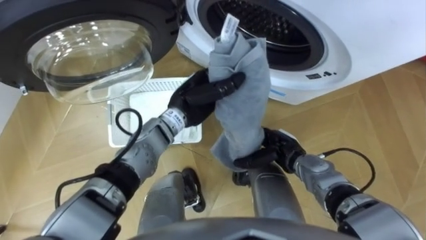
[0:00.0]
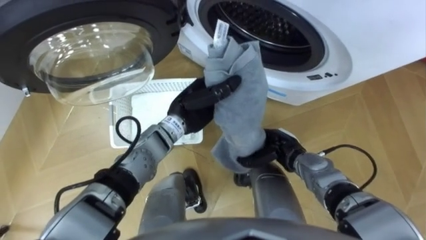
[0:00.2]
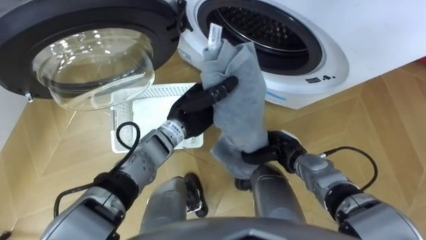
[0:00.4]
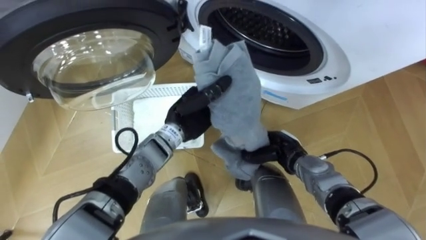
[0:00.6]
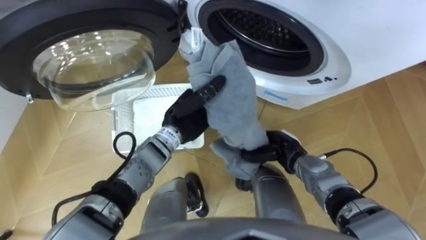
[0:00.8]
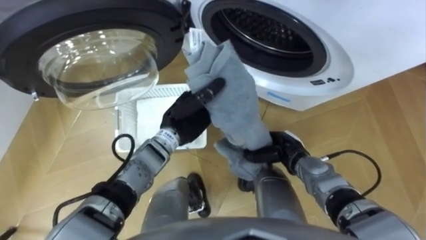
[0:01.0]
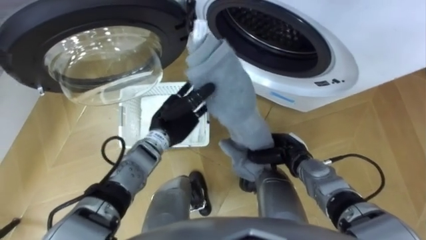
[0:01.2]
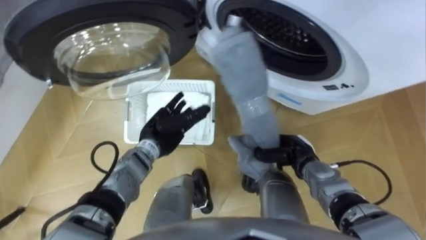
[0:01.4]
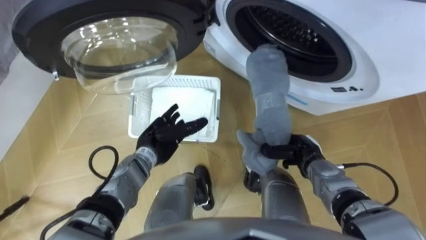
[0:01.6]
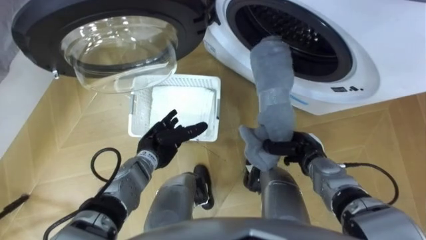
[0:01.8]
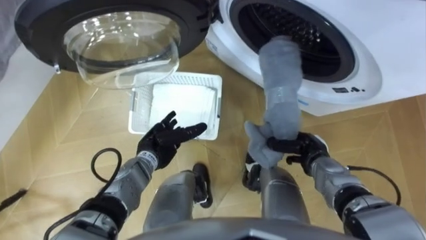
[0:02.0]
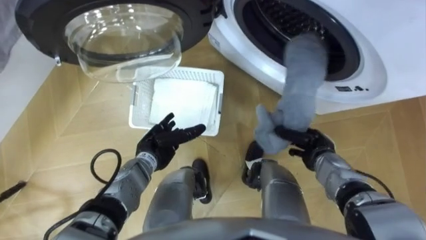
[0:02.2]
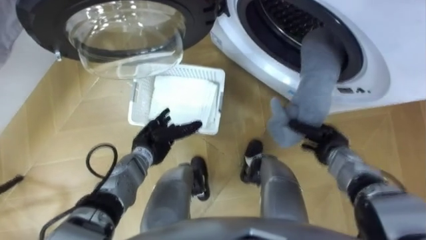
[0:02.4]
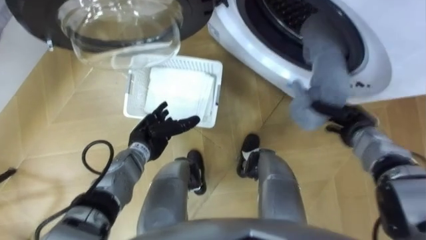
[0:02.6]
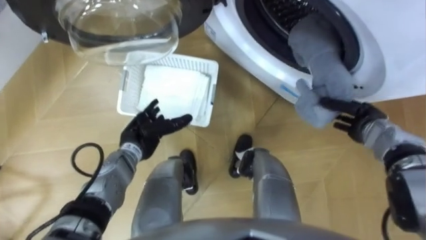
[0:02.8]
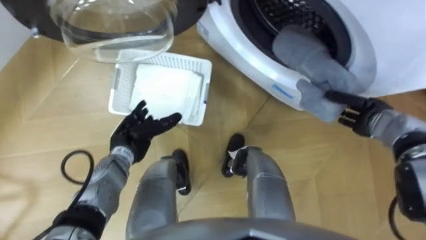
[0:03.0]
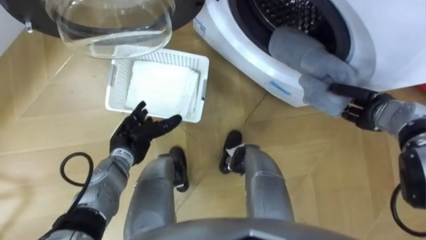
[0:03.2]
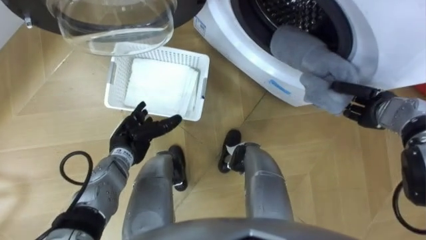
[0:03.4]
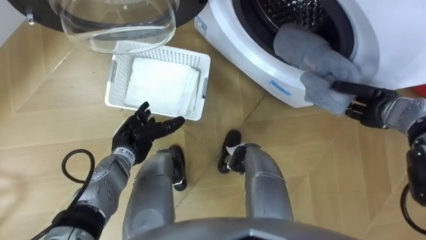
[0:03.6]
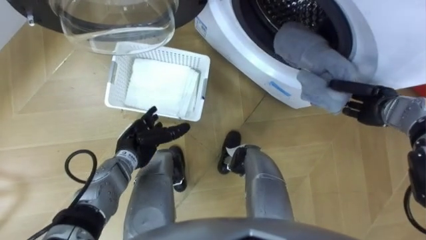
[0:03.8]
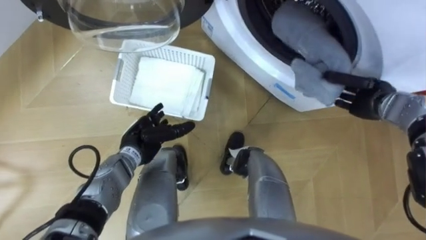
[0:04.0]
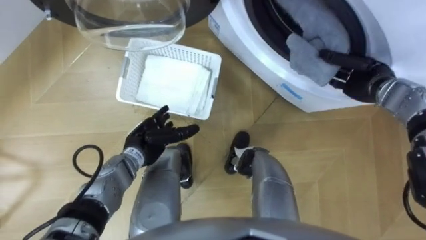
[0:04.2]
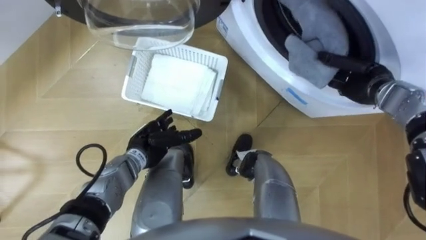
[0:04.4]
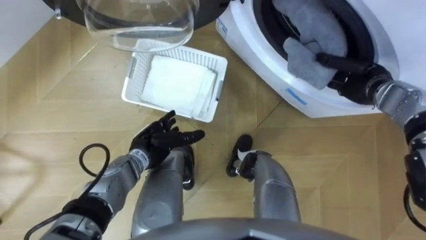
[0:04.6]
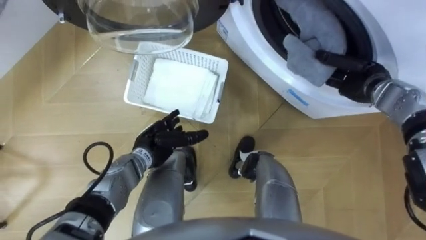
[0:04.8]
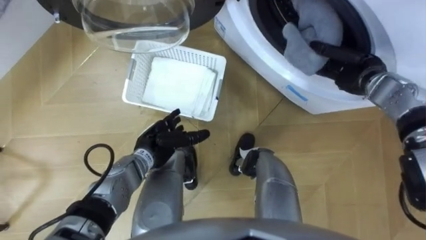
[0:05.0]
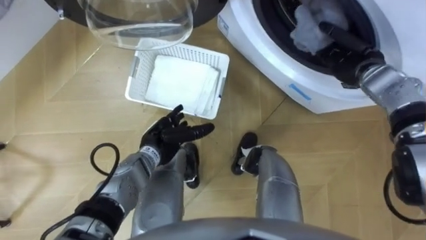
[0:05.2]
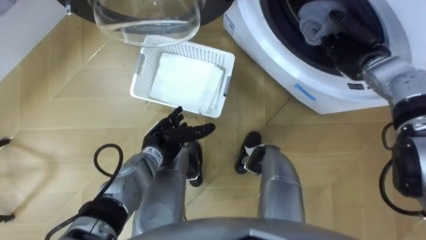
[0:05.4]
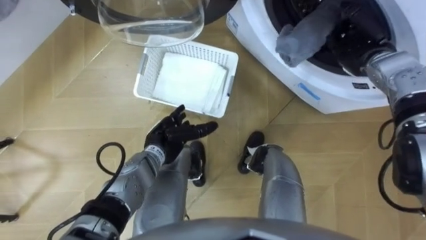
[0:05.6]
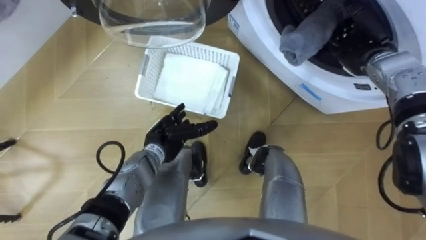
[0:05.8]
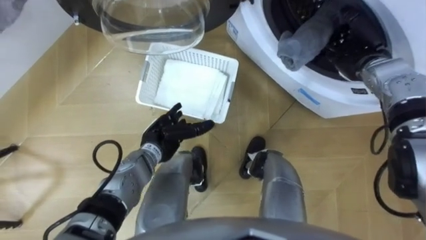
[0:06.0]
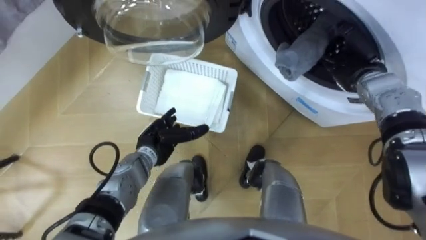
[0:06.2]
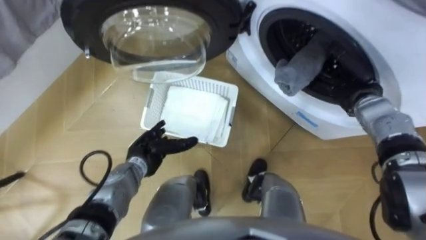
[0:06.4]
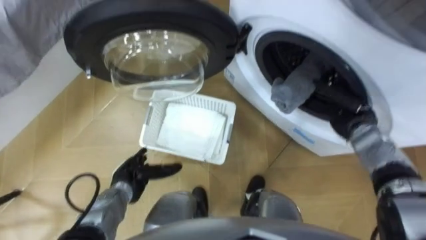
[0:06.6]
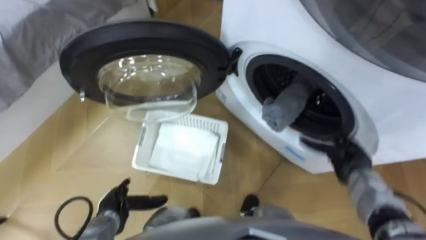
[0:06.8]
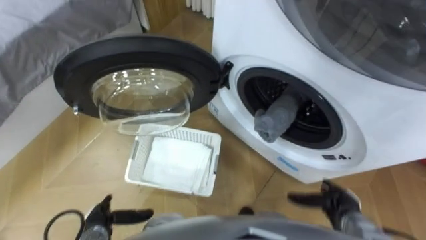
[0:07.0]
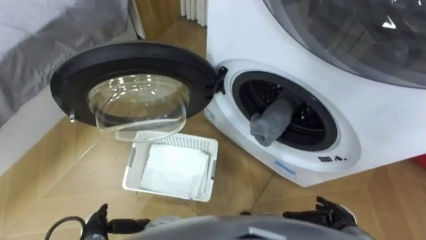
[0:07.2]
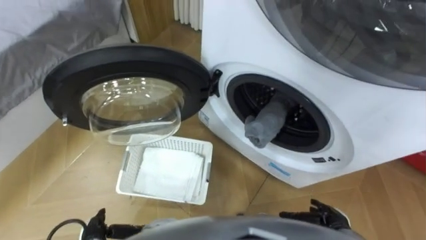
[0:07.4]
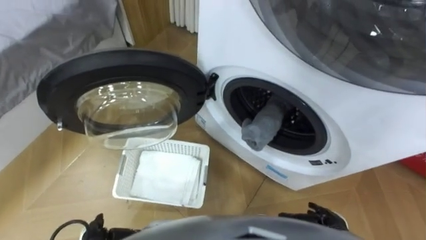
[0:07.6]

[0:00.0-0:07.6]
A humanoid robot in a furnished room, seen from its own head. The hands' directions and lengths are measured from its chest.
Task of the whole recording: Take the towel from the basket and put it into the washing machine.
0.0 to 1.6 s: The right hand travels to the right by some 5 cm, and closes; the left hand is displaced downward, to the left and backward by about 15 cm, and opens its fingers.
1.6 to 3.0 s: The left hand moves to the left, approximately 5 cm. The right hand shifts some 15 cm to the right, upward and forward.
3.0 to 4.6 s: The right hand travels forward and upward by some 10 cm.
4.6 to 6.0 s: The right hand opens up.
6.0 to 7.6 s: The right hand travels backward and downward by roughly 40 cm.

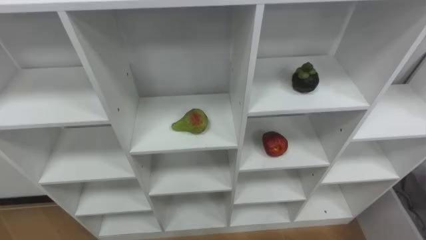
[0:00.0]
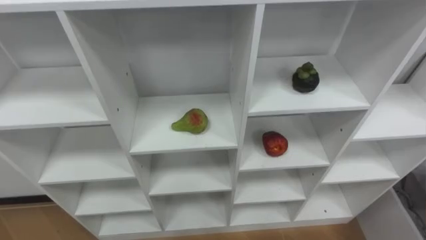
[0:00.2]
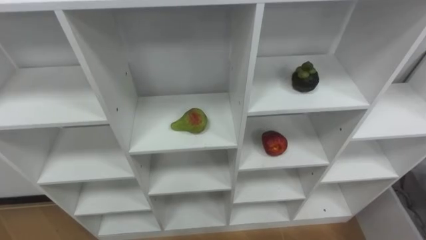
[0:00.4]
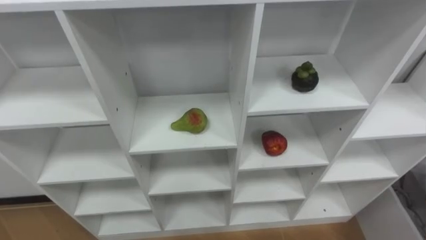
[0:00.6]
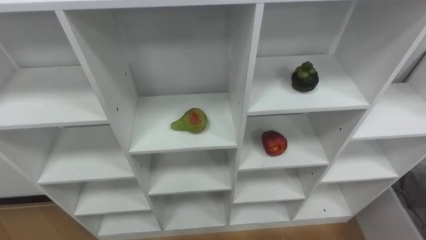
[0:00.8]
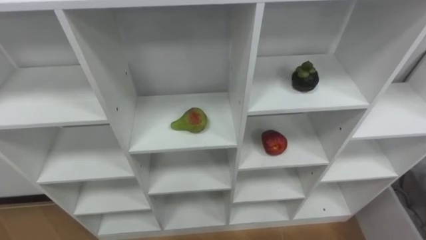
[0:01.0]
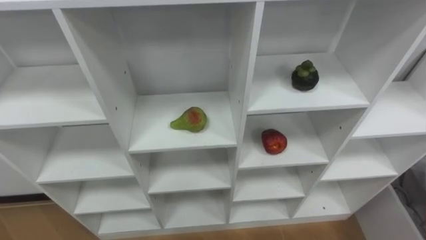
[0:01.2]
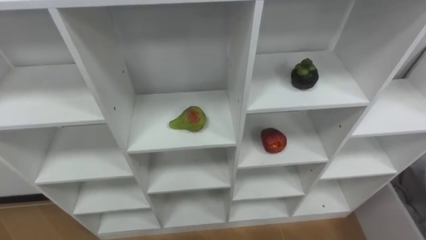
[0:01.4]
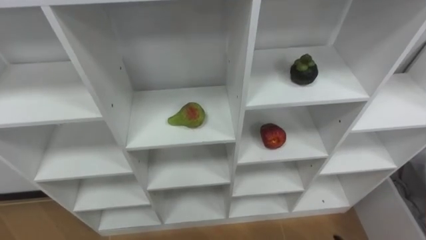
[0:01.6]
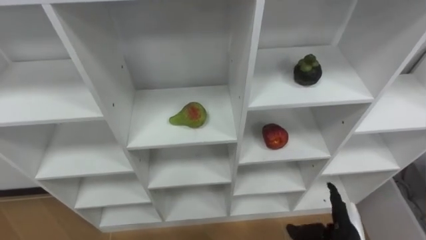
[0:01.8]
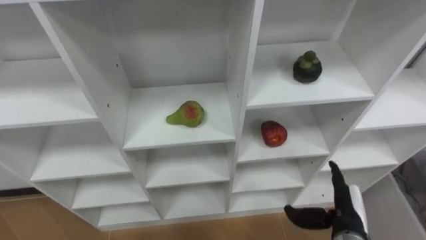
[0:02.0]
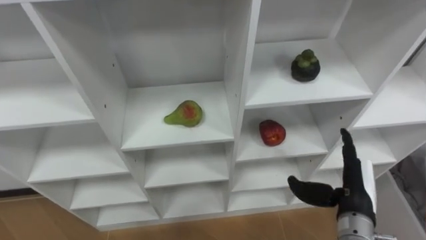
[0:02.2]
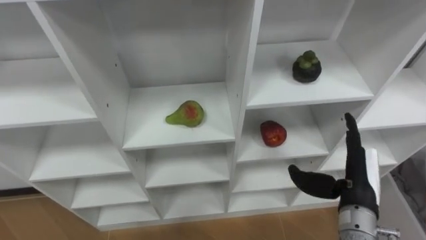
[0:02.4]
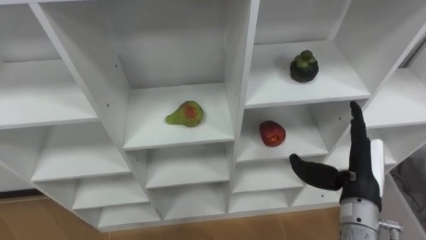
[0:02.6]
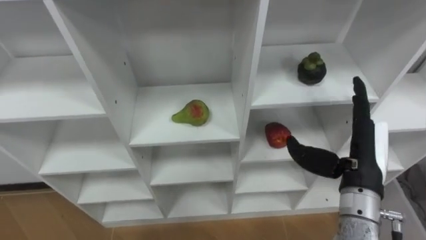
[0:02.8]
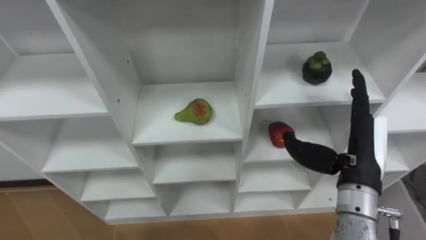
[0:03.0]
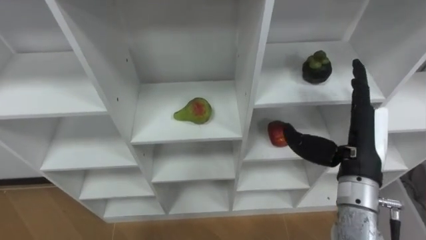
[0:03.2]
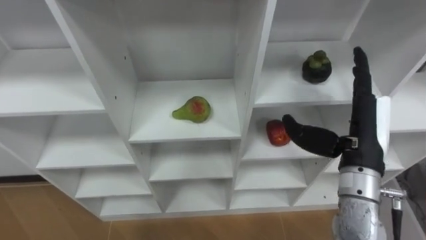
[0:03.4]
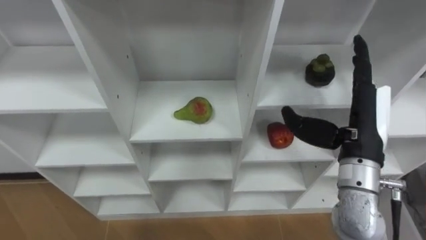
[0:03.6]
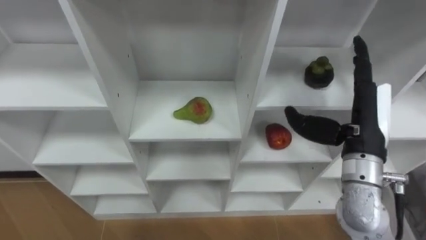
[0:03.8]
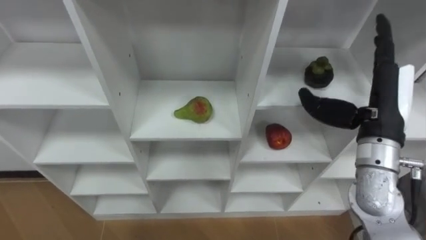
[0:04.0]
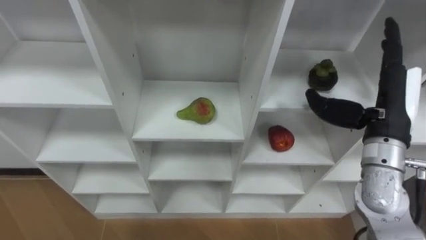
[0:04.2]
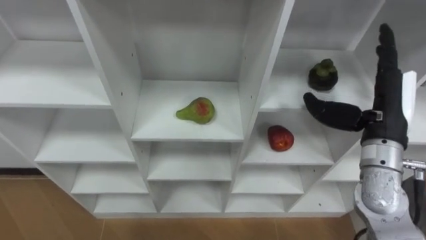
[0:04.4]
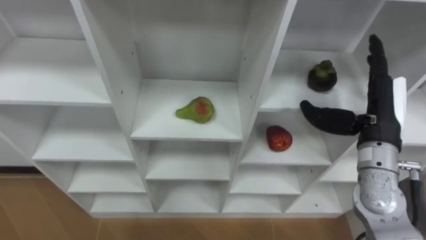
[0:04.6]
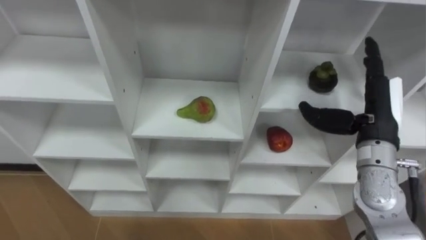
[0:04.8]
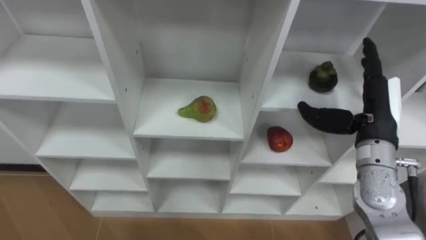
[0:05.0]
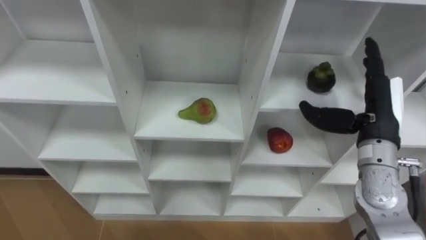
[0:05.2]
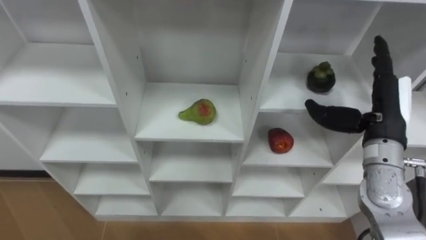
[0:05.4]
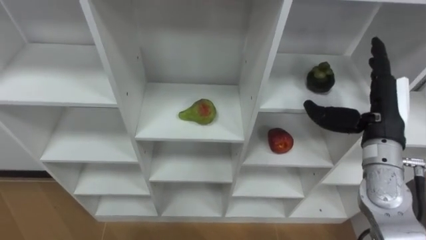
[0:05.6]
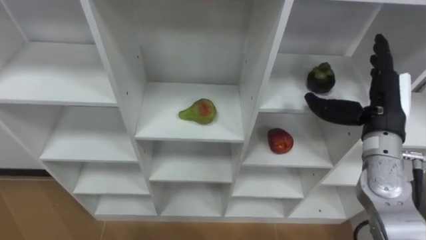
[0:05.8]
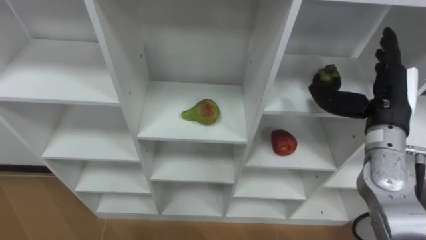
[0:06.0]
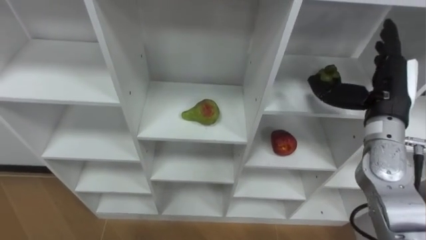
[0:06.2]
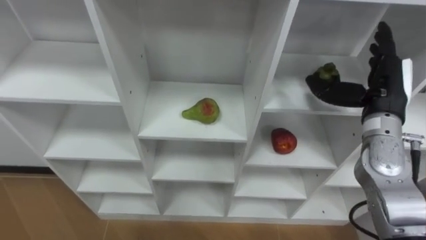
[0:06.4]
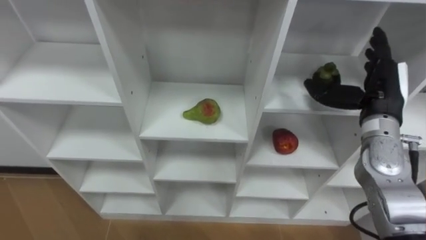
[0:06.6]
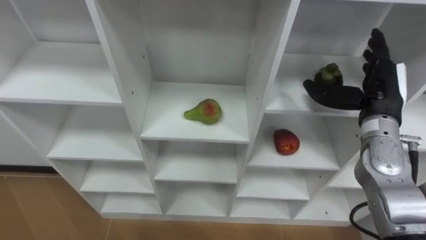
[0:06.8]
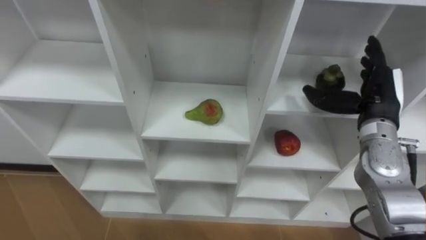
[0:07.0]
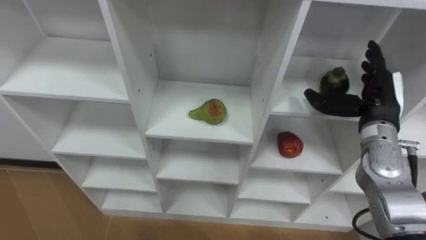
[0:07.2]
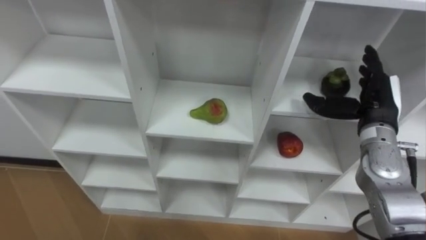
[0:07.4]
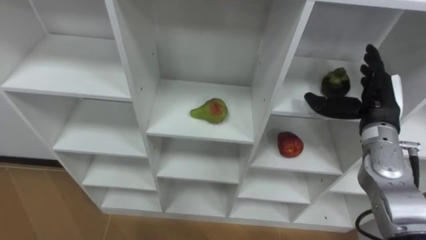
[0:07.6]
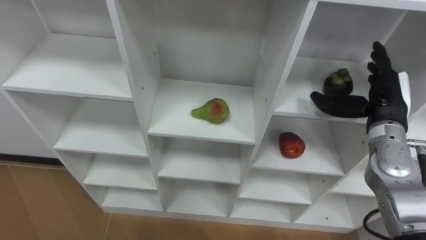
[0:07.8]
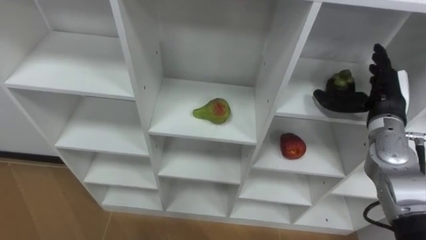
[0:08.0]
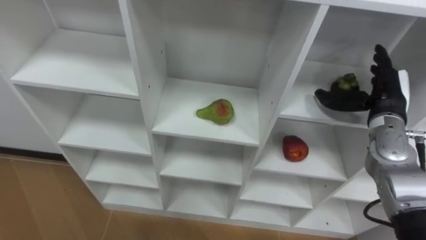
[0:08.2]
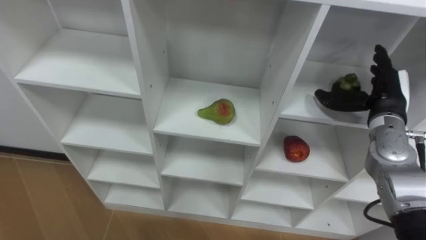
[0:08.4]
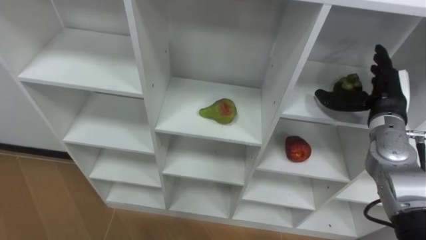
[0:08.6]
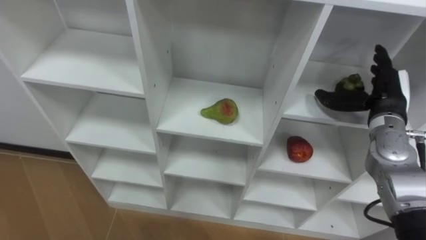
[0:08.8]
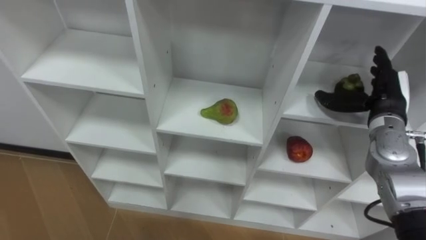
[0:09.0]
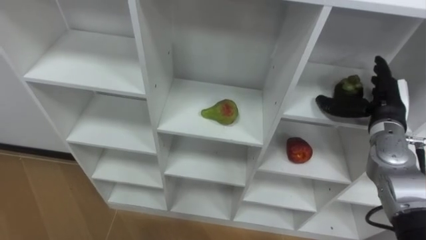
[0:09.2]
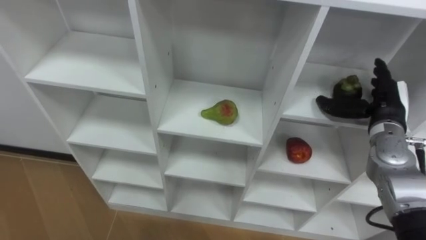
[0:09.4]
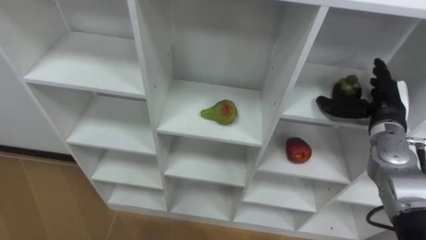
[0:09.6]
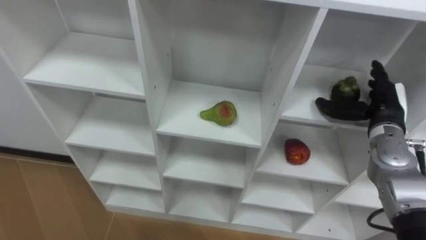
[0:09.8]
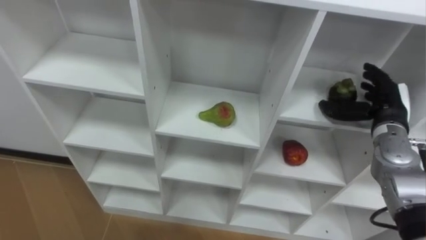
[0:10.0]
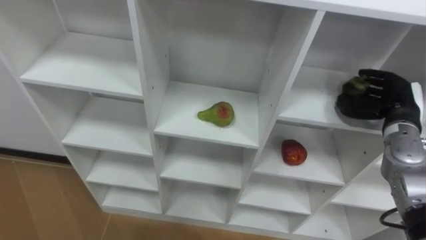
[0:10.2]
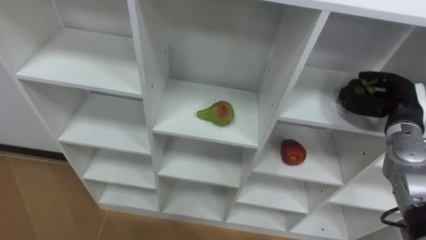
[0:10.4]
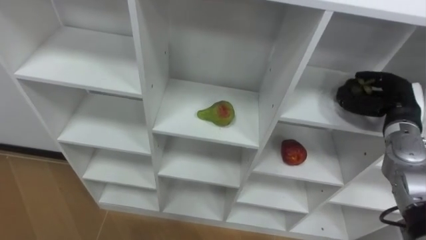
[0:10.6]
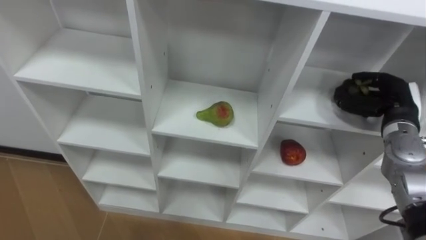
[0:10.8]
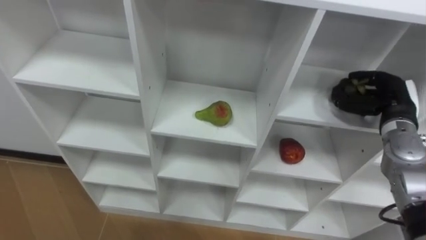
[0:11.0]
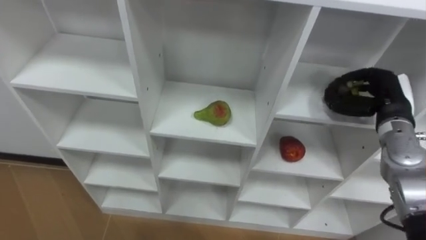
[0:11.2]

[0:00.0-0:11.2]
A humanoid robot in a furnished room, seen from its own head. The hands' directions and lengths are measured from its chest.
Task of the whole recording: Hold the basket and collect the fruits from 3 different cells of the closet into it.
3.2 to 4.8 s: The right hand heads forward, covering approximately 5 cm.
6.4 to 8.0 s: The right hand changes place by roughly 5 cm.
9.6 to 11.2 s: The right hand closes.
